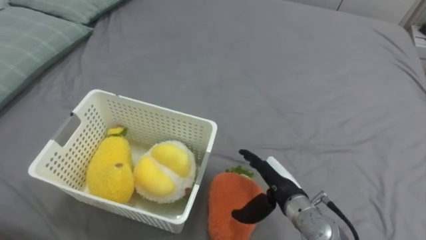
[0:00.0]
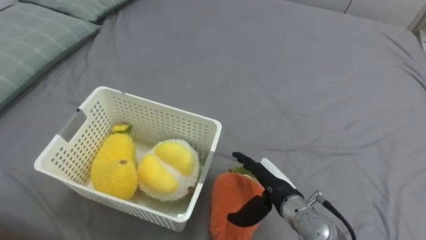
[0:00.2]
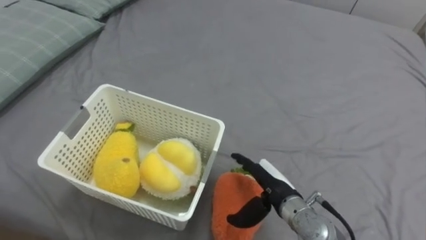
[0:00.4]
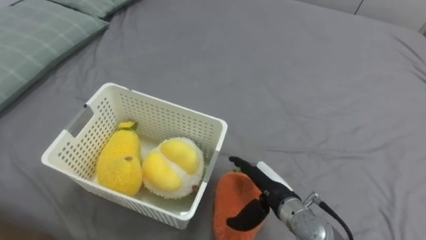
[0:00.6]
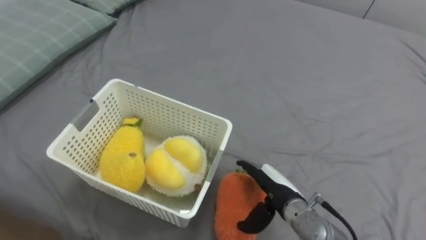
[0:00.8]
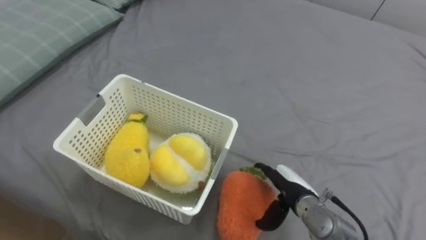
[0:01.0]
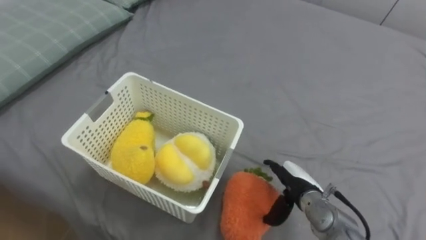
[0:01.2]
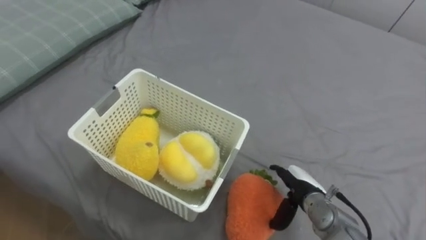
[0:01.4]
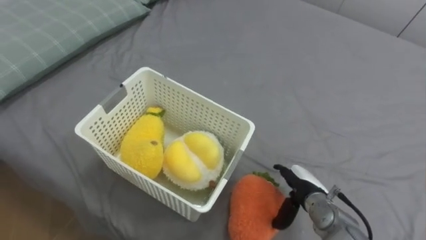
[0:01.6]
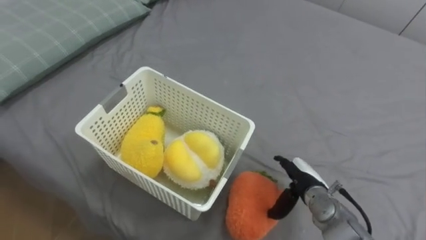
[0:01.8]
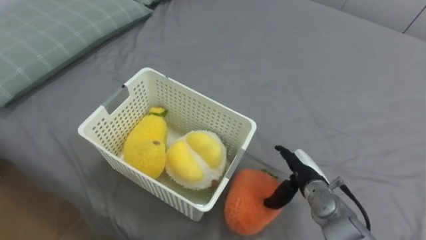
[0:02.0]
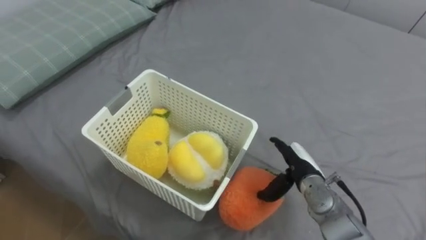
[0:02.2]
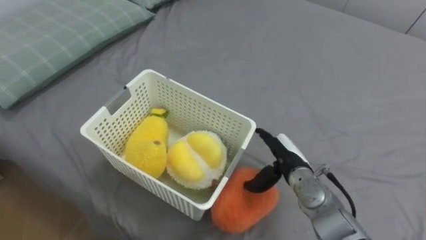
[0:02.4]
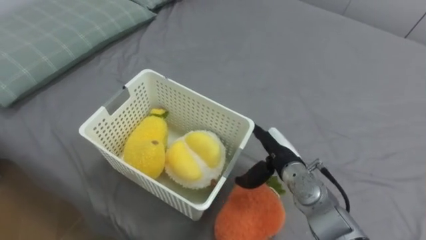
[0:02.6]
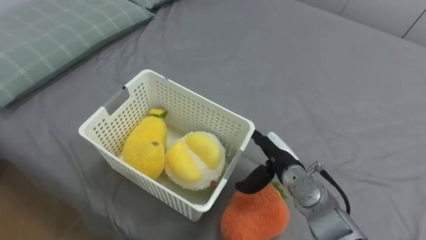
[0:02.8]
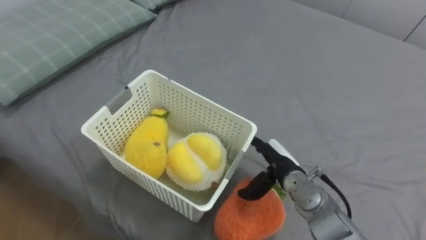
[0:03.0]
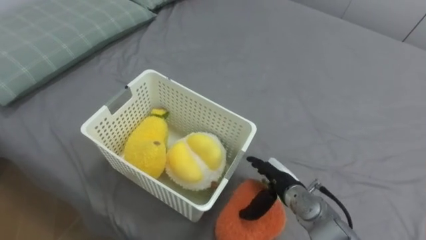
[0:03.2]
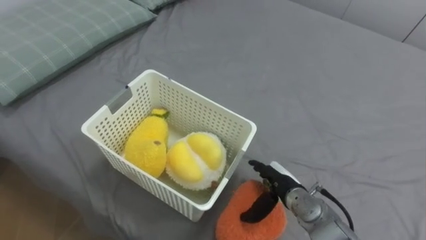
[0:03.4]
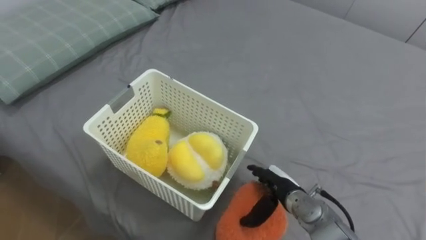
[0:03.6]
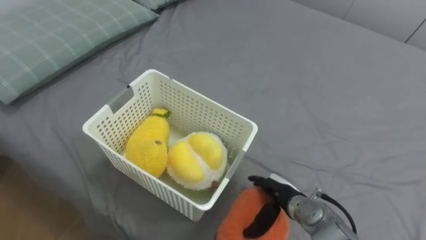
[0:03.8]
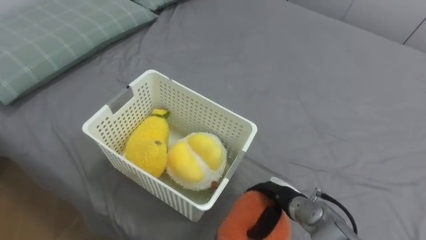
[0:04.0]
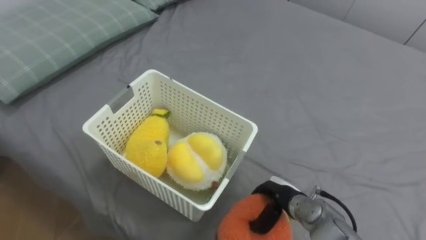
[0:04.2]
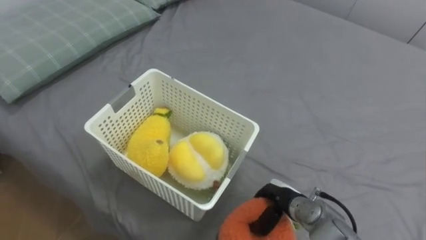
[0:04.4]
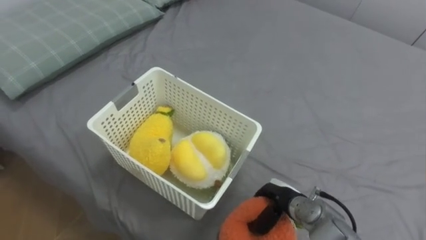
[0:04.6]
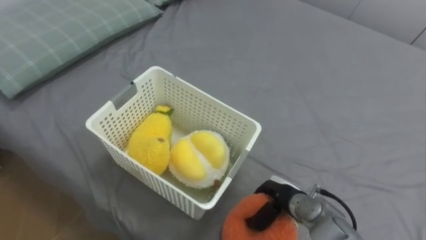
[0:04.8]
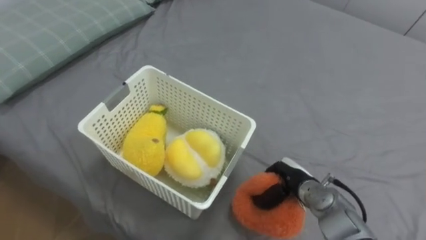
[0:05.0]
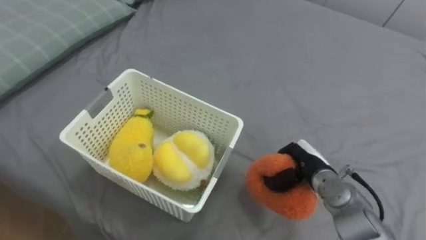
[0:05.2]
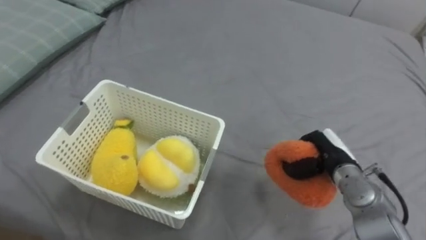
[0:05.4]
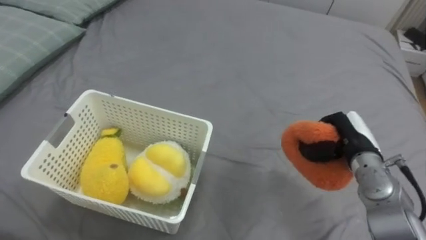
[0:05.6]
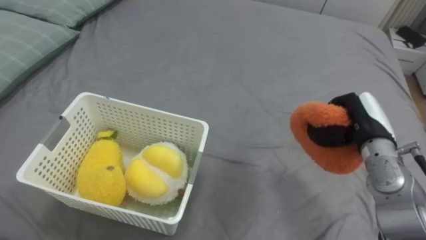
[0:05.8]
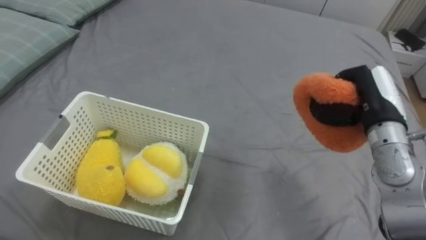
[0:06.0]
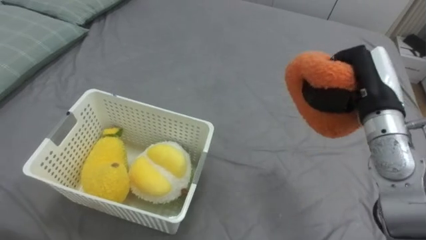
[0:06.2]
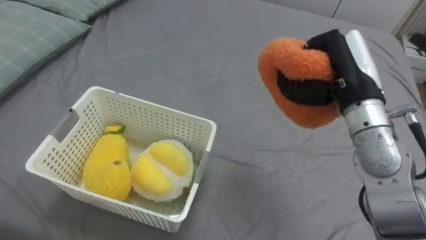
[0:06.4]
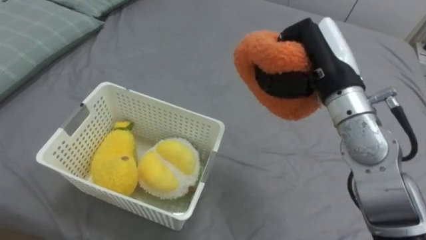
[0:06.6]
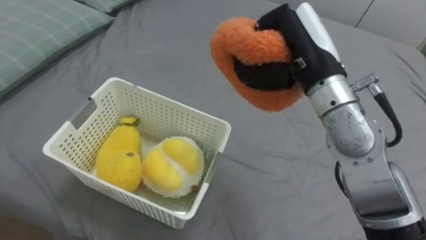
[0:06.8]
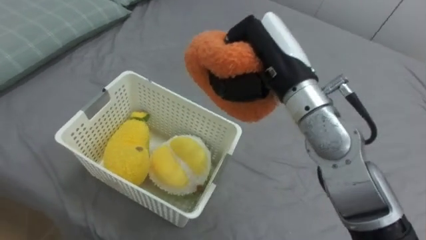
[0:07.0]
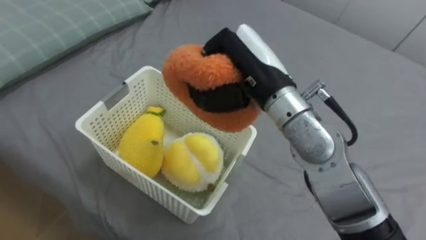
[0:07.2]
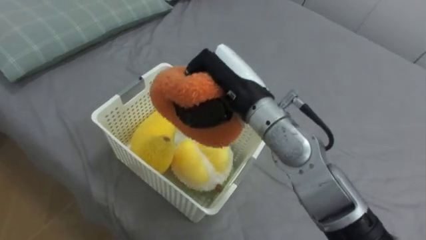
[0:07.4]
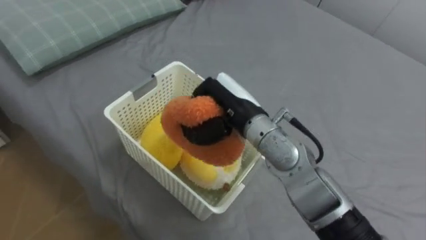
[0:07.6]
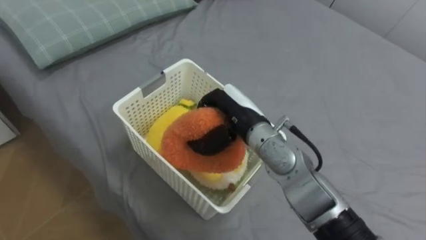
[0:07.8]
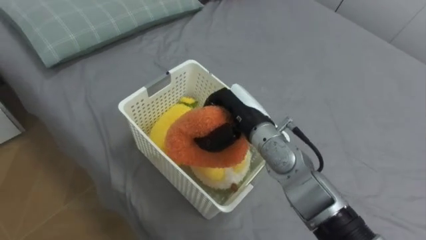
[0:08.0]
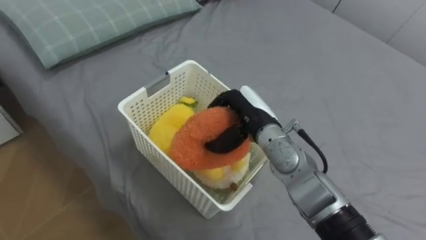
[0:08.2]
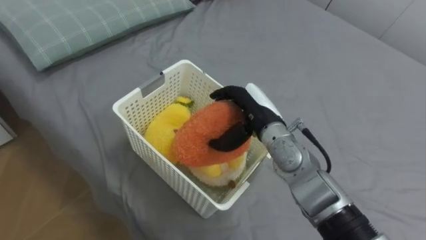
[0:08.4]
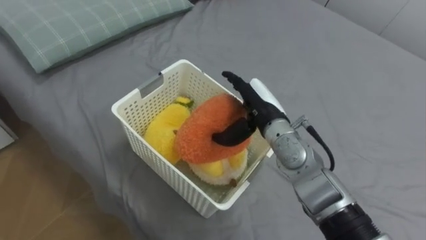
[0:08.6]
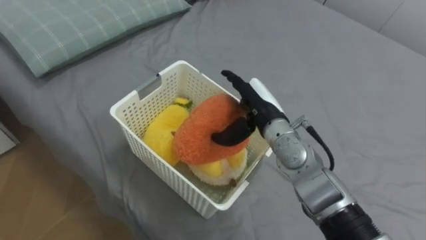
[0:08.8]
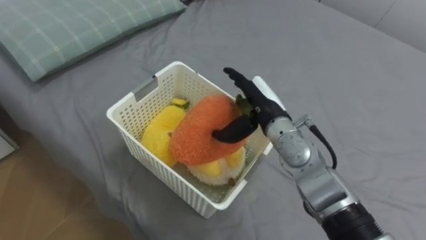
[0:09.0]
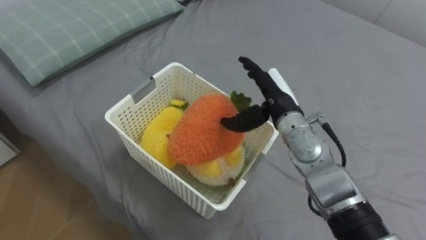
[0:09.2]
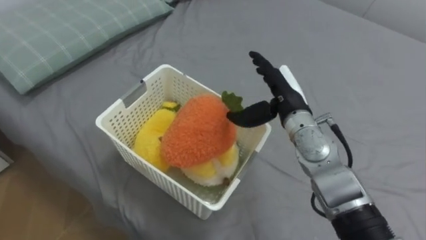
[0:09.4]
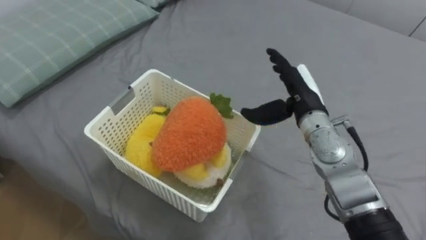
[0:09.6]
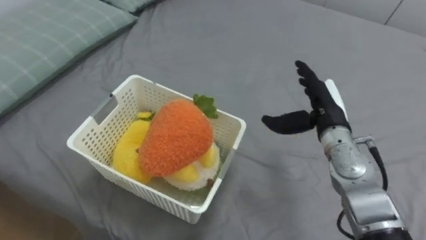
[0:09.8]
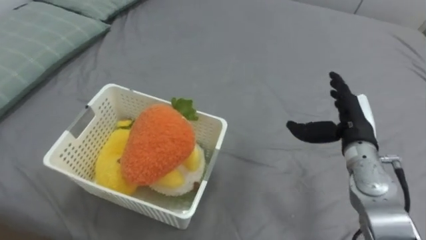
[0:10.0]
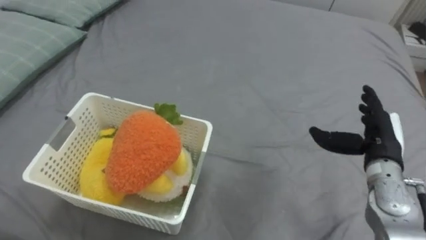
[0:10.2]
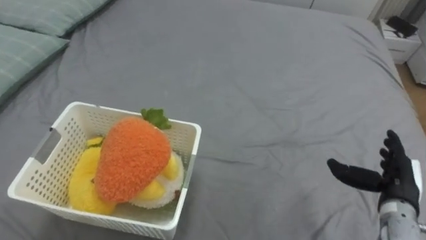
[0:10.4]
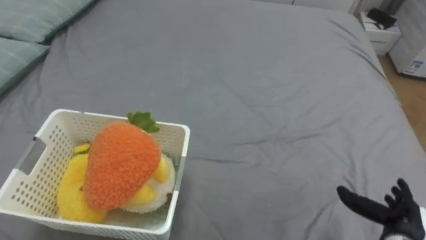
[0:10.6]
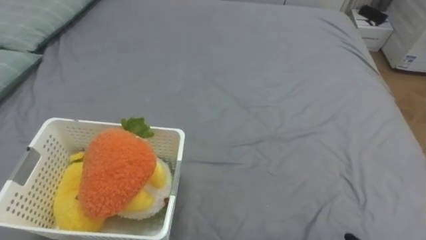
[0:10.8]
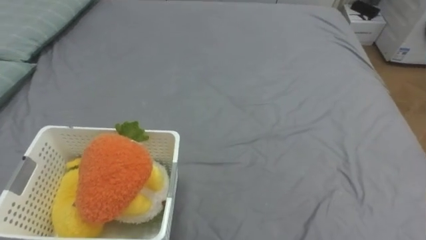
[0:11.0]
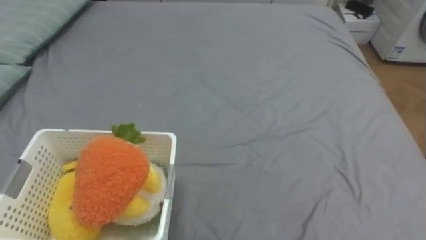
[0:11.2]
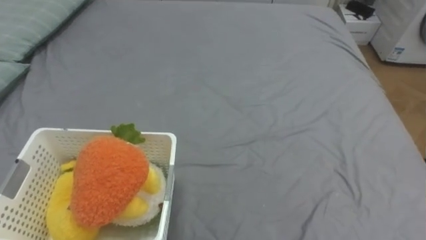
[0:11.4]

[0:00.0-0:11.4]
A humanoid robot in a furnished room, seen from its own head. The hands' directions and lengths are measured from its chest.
Task of the whole recording: Put the toys on the bed into the basket on the left.
0:00.0 to 0:01.4: The right hand travels downward and to the right by some 10 cm.
0:01.4 to 0:02.8: The right hand travels upward and to the left by approximately 10 cm.
0:02.8 to 0:04.2: The right hand moves downward and backward, about 10 cm, and closes.
0:04.2 to 0:05.6: The right hand moves upward, to the right and forward, roughly 20 cm, and closes.
0:05.6 to 0:07.2: The right hand is displaced to the left and upward by roughly 25 cm.
0:07.2 to 0:08.6: The right hand travels downward by some 15 cm, and opens.
0:08.6 to 0:10.0: The right hand is displaced to the right by about 15 cm.

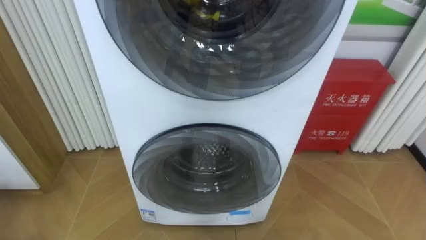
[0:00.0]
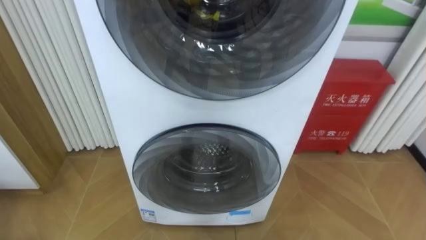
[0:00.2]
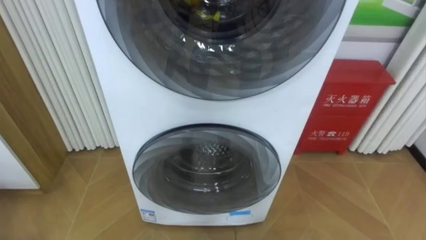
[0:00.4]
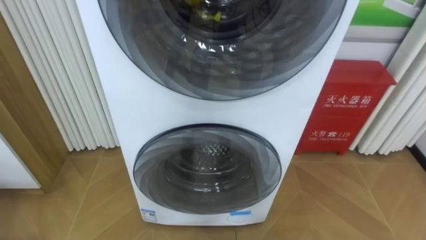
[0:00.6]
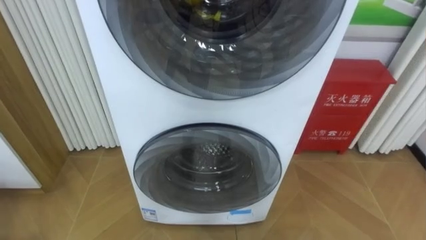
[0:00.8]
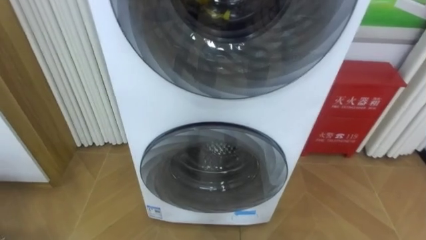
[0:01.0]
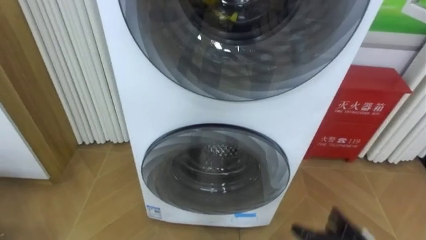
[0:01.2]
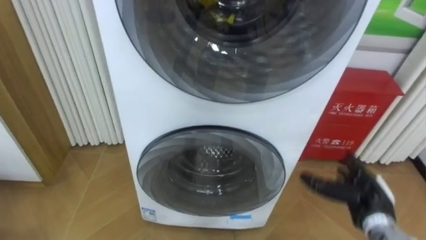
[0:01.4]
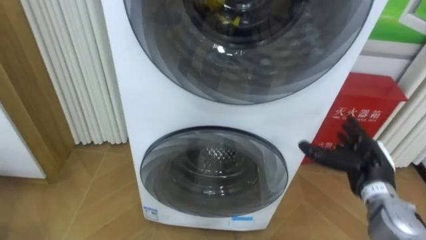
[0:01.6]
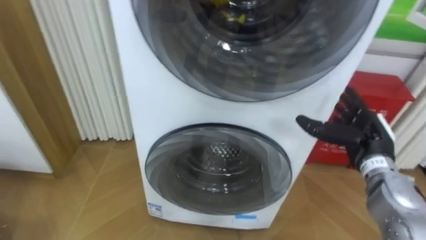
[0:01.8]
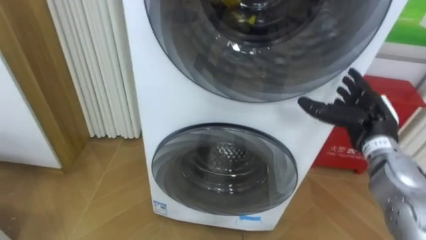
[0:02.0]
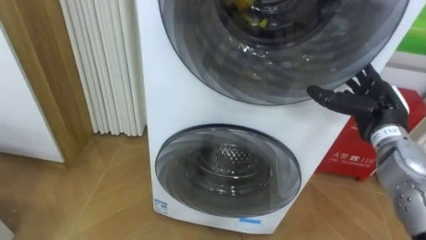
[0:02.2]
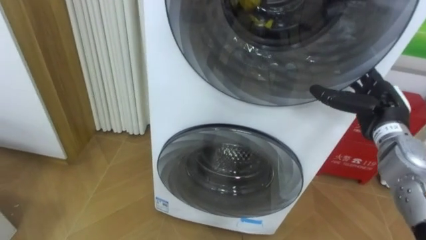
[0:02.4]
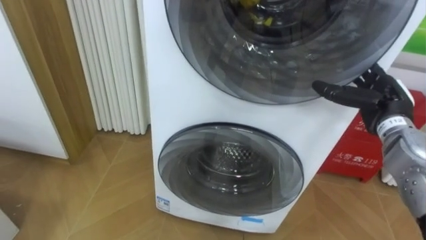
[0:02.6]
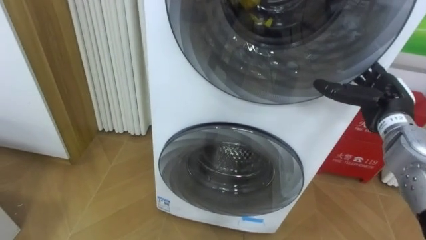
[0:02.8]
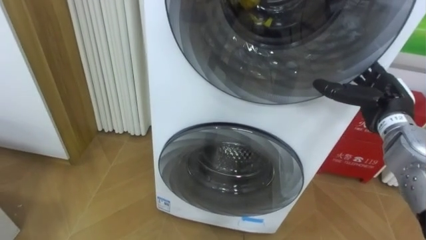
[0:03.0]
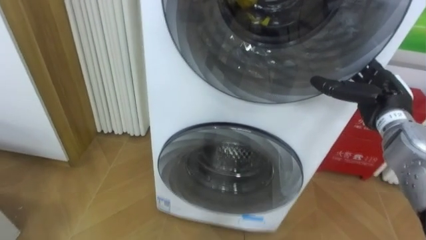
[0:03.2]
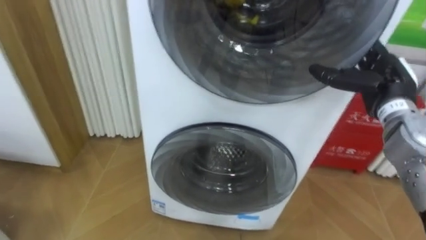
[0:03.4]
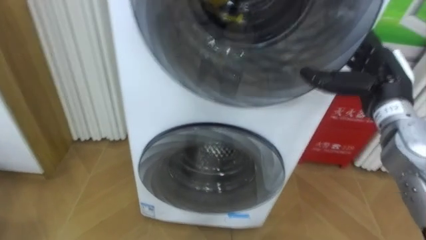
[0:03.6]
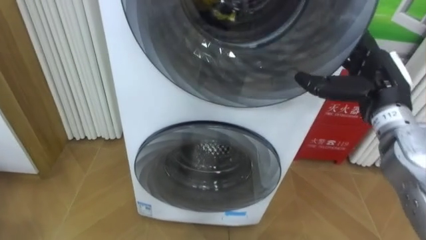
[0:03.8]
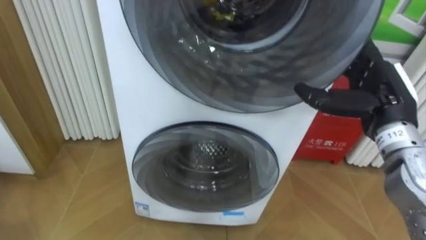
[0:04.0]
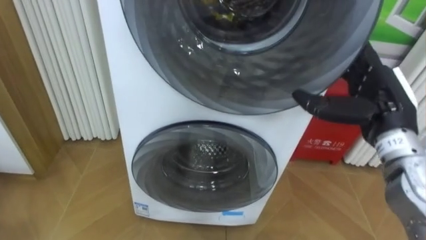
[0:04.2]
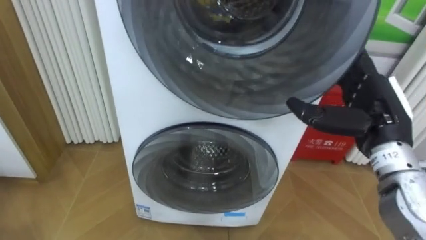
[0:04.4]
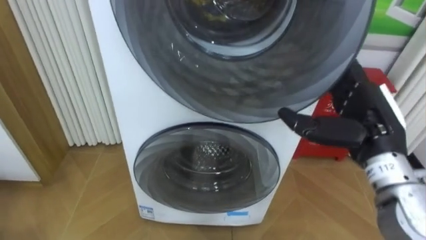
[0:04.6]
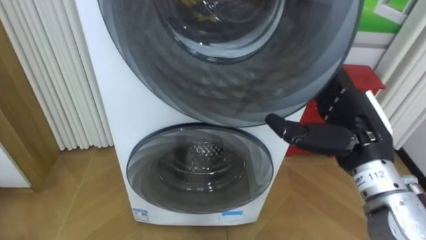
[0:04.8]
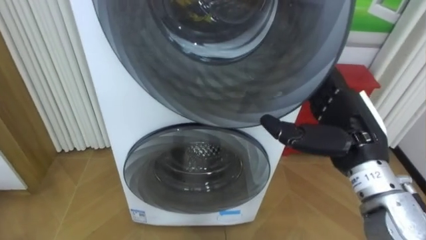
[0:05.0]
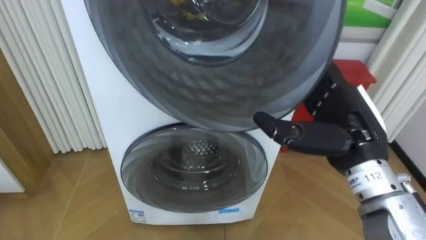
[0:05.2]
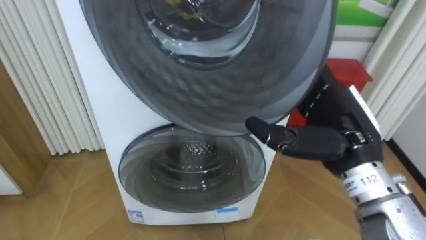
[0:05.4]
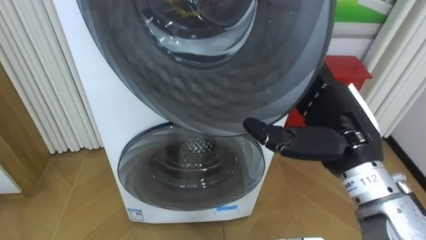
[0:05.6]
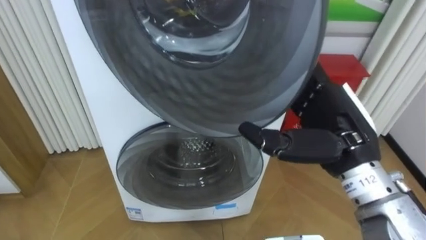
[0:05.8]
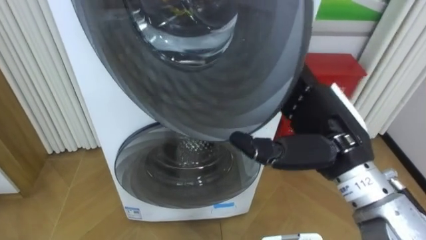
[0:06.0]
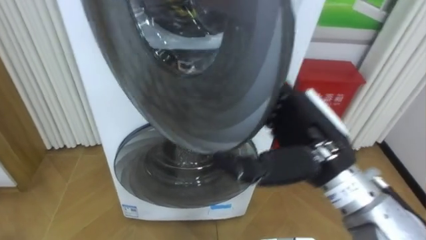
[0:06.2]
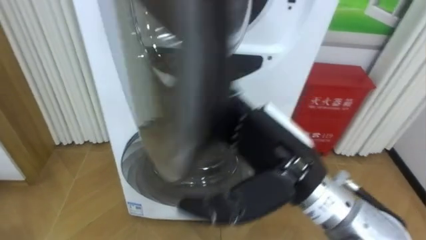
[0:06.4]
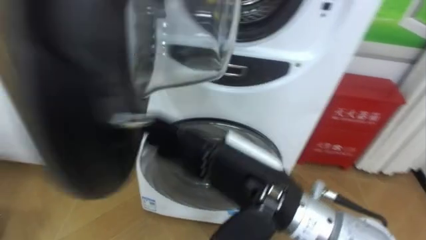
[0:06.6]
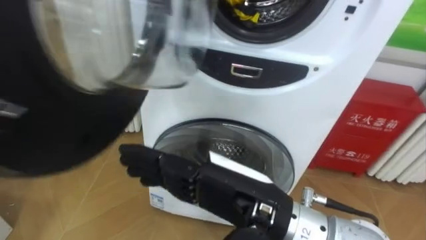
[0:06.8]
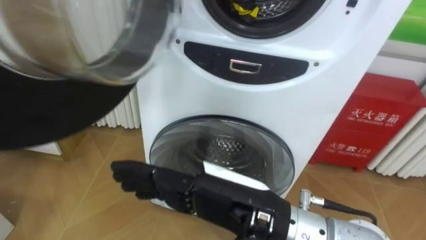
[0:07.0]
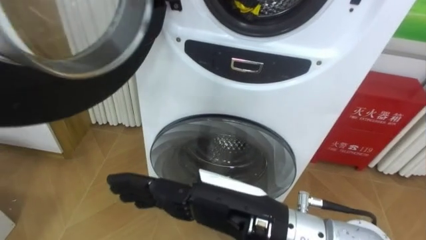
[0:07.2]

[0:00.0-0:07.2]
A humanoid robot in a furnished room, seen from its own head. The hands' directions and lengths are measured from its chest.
Task of the whole recording: Open the washing machine door, take out the yellow clothes, place them in the box on the right, and close the washing machine door.
0:01.4 to 0:02.8: The right hand goes some 20 cm upward and forward.
0:02.8 to 0:04.4: The right hand goes approximately 10 cm backward and to the left.
0:04.4 to 0:05.8: The right hand goes roughly 10 cm to the left.
0:05.8 to 0:07.2: The right hand goes about 15 cm to the left and backward.
